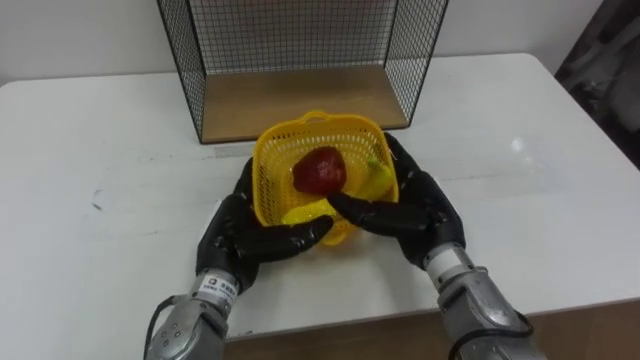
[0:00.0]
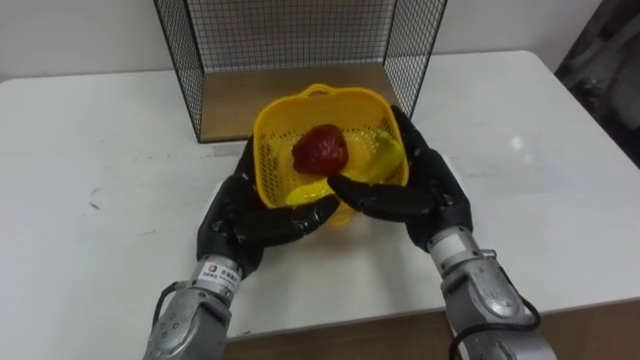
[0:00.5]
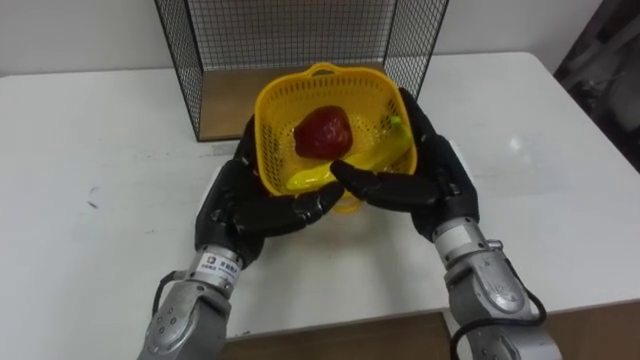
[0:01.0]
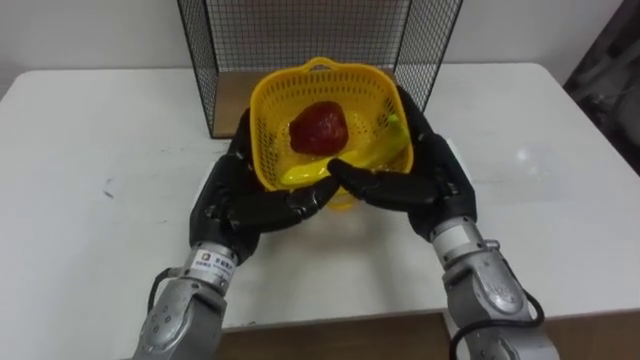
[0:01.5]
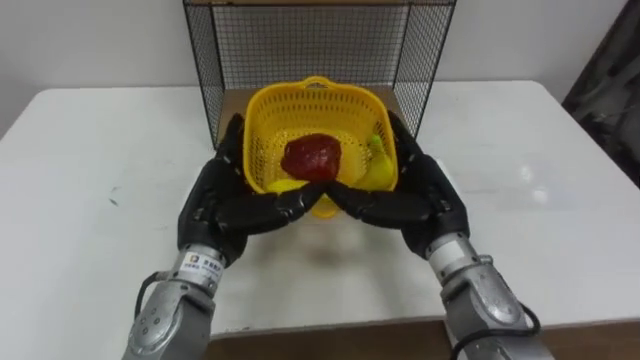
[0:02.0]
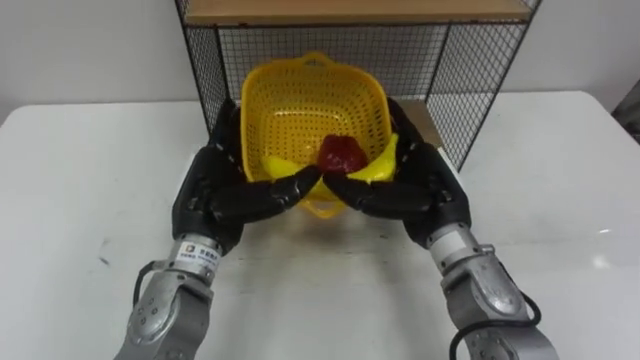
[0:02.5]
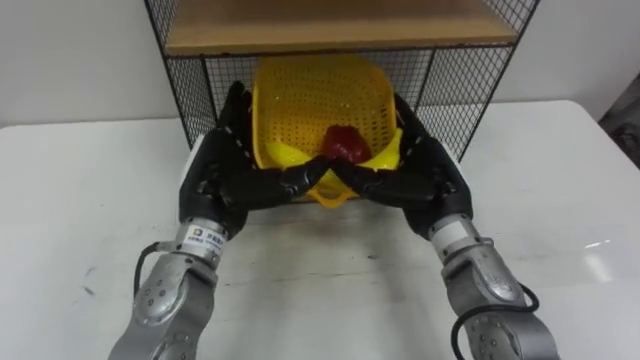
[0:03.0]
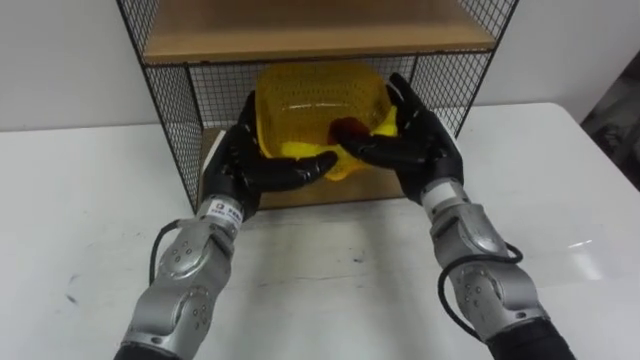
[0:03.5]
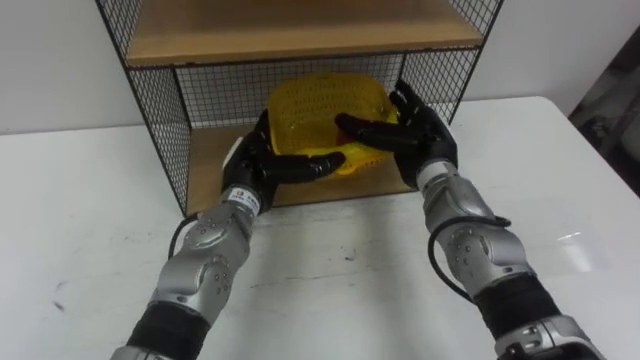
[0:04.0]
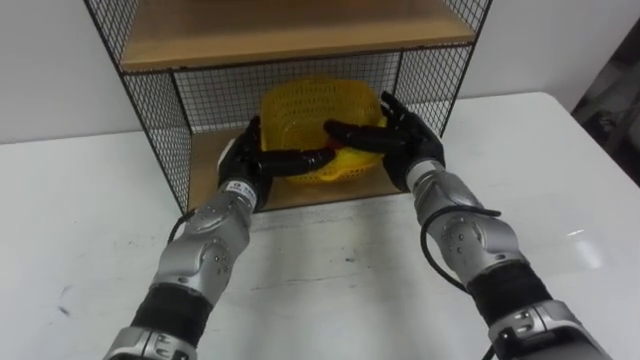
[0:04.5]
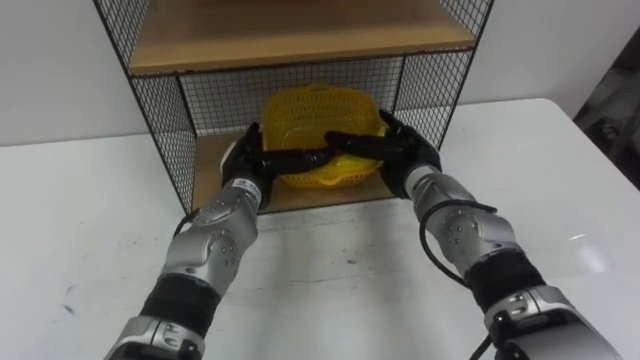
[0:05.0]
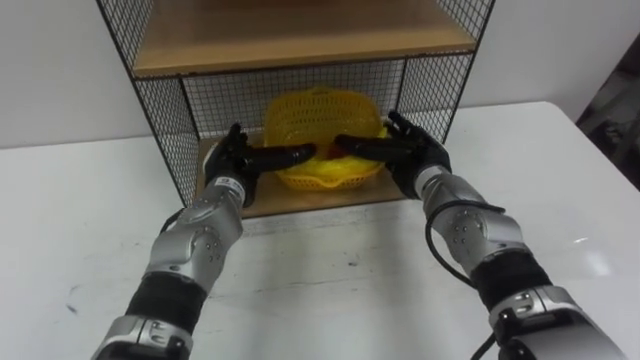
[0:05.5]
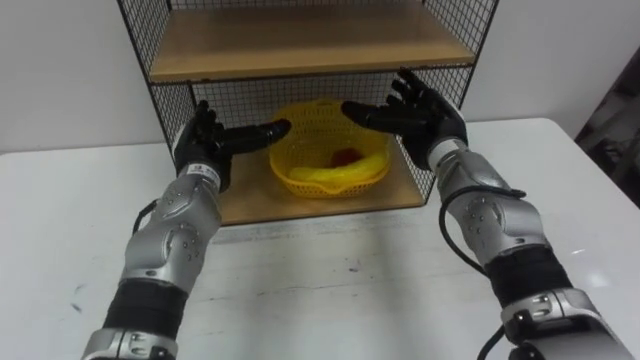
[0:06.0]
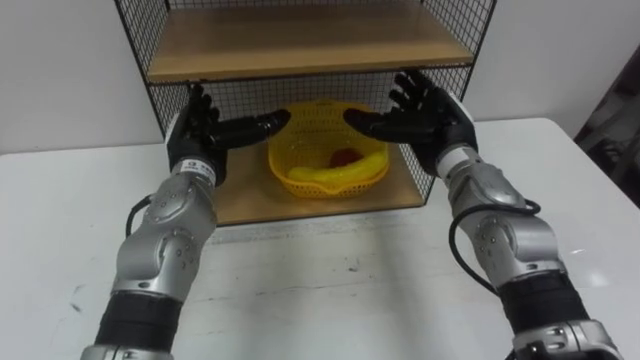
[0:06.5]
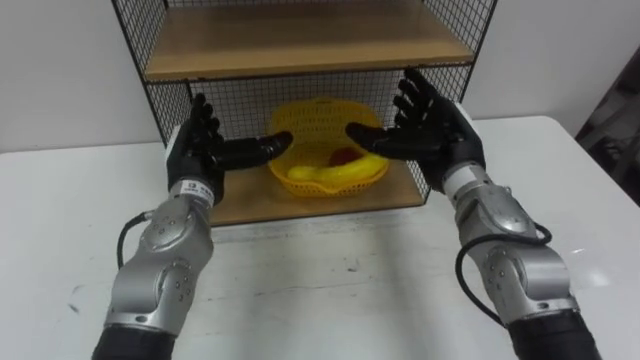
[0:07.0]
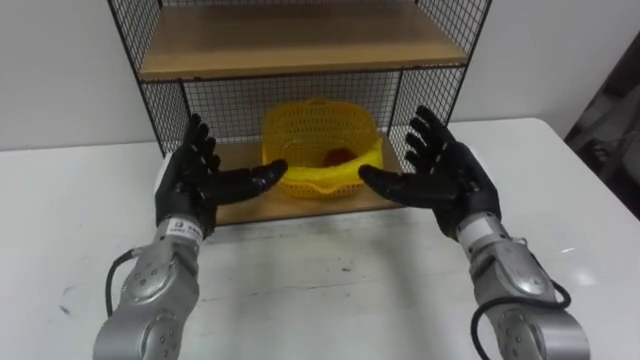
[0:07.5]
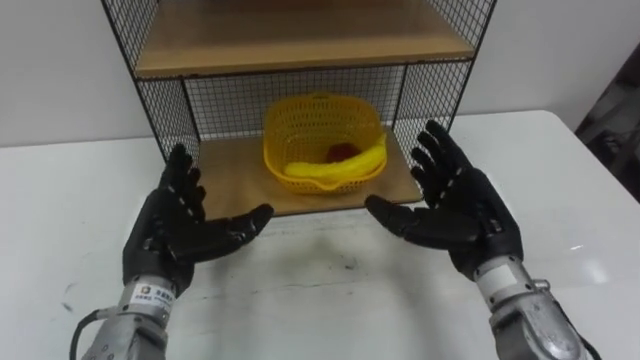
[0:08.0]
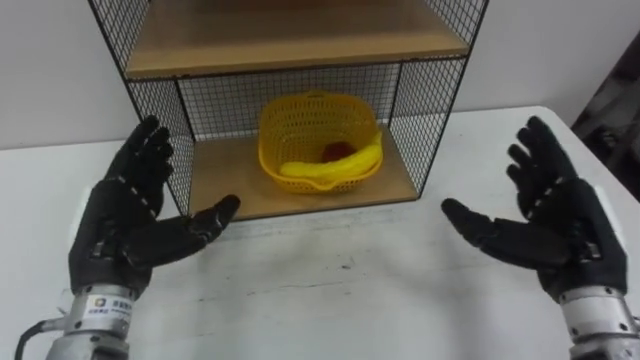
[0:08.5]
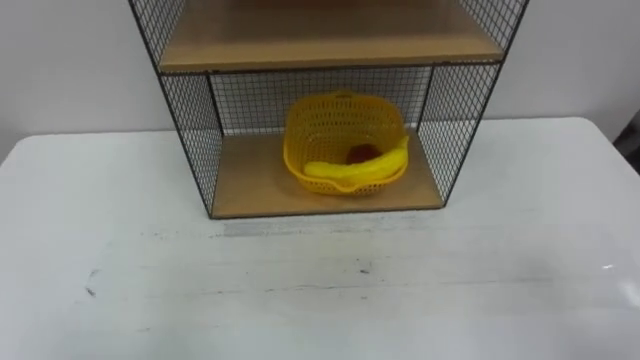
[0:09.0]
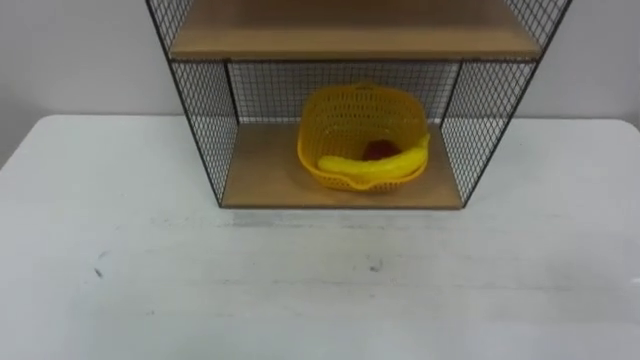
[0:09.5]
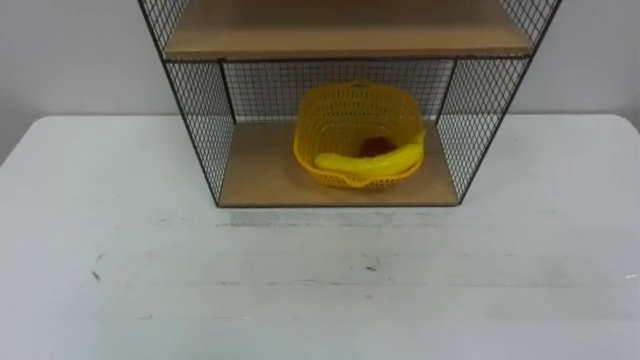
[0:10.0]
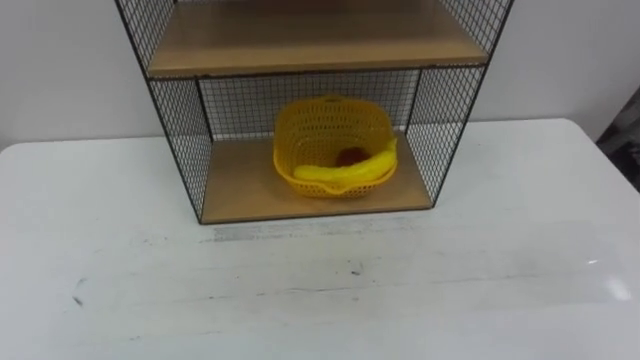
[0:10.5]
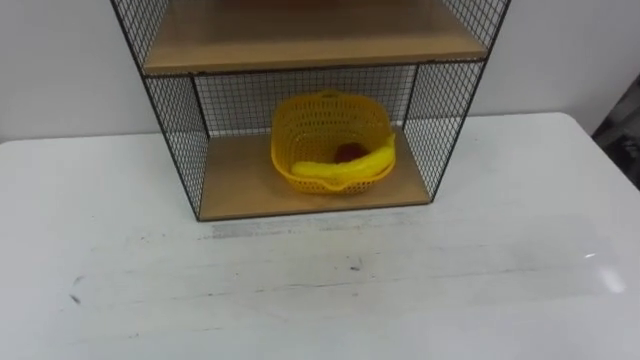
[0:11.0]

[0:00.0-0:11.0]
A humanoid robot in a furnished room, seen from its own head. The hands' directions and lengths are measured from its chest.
Task of the whole recording: Put the fruit on the table into the basket, then place the basket on the shelf.
0:00.0 to 0:02.0: The left hand moves upward, roughly 5 cm.
0:02.0 to 0:03.5: Both hands move forward, roughly 5 cm.
0:03.5 to 0:05.5: The right hand shifts approximately 5 cm downward. The left hand changes place by about 5 cm.
0:05.5 to 0:07.5: The two hands go approximately 5 cm backward.

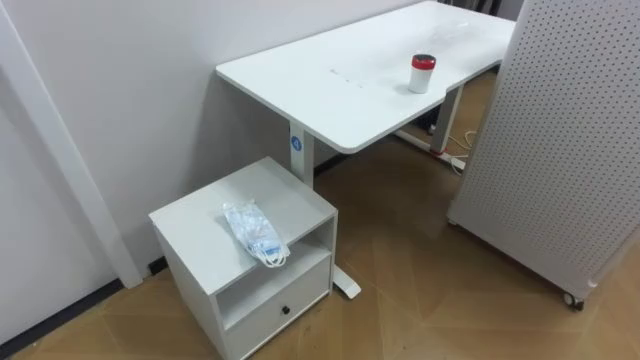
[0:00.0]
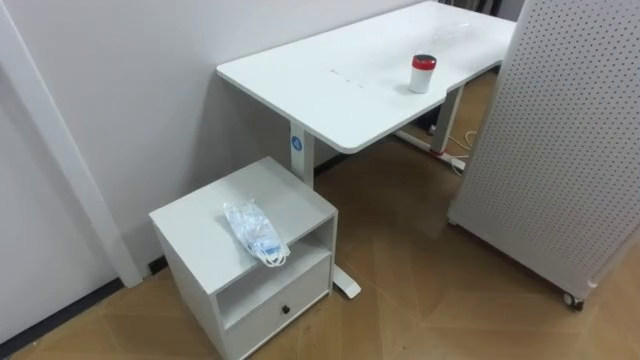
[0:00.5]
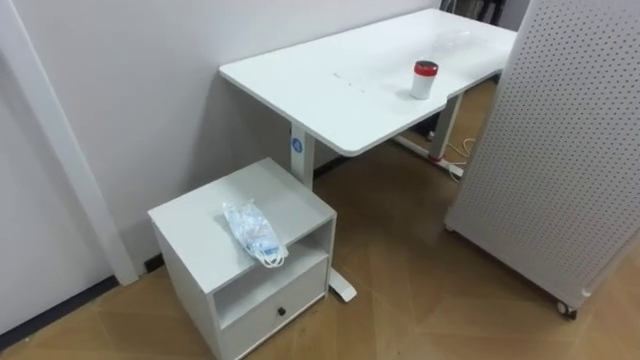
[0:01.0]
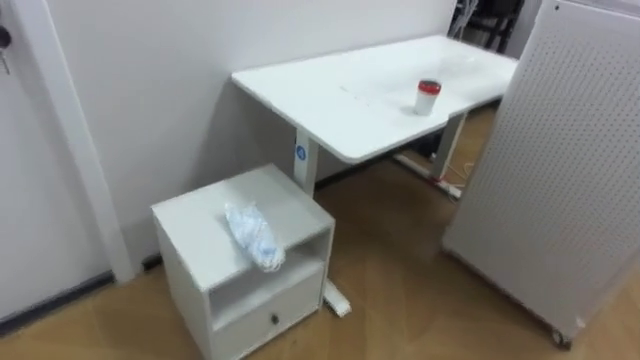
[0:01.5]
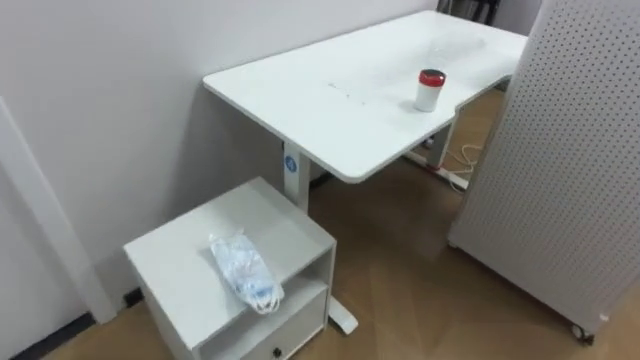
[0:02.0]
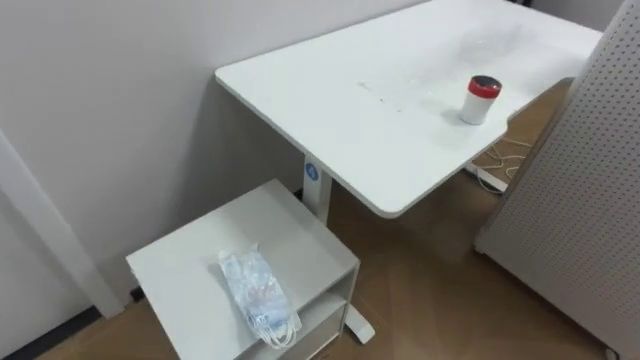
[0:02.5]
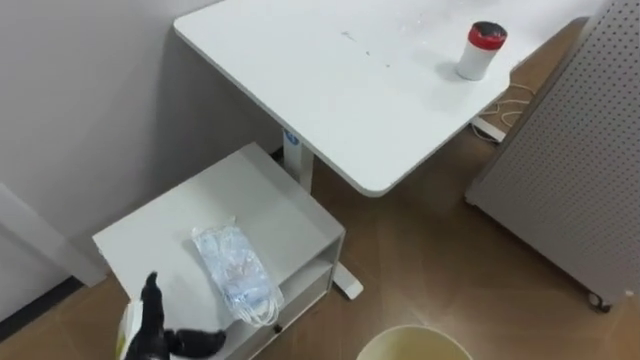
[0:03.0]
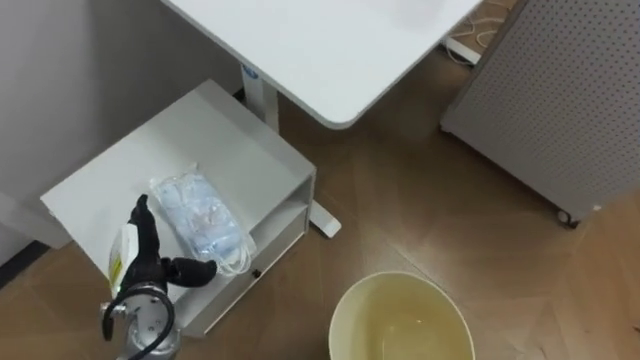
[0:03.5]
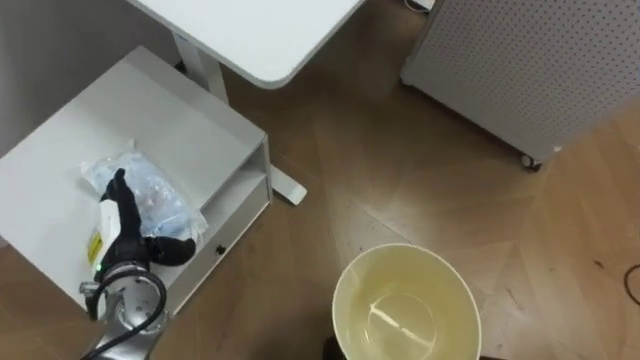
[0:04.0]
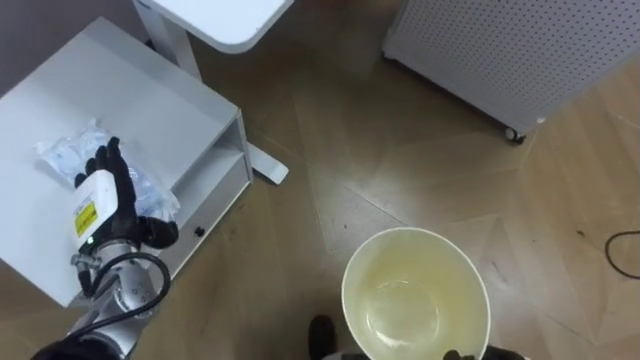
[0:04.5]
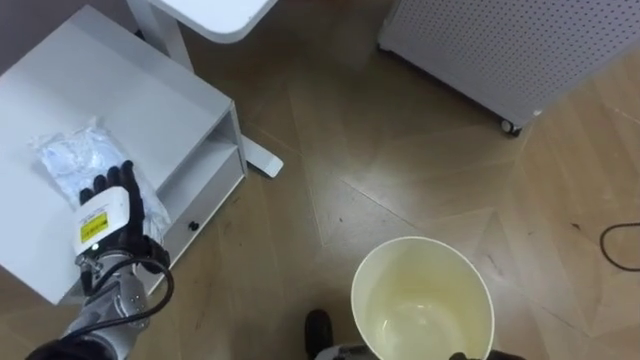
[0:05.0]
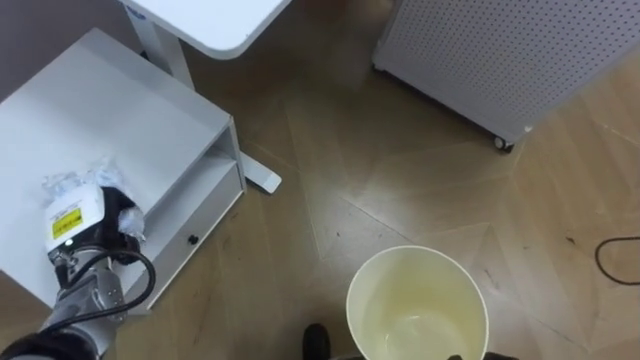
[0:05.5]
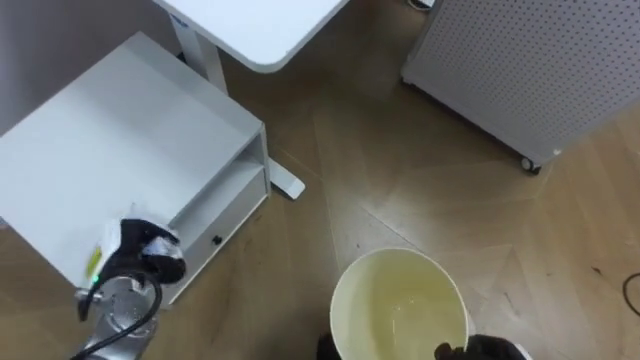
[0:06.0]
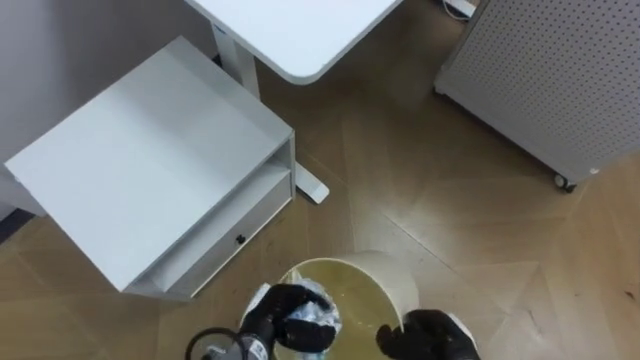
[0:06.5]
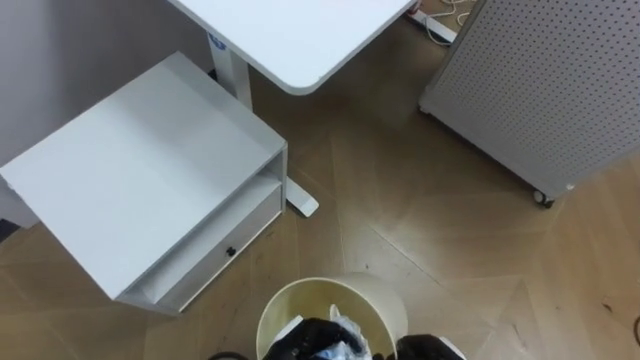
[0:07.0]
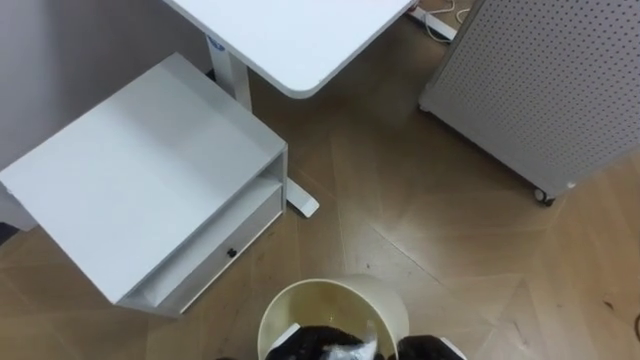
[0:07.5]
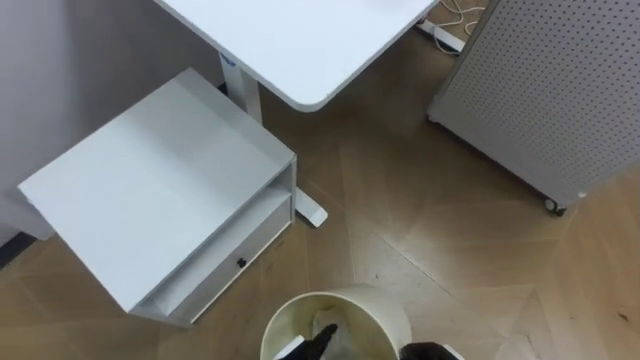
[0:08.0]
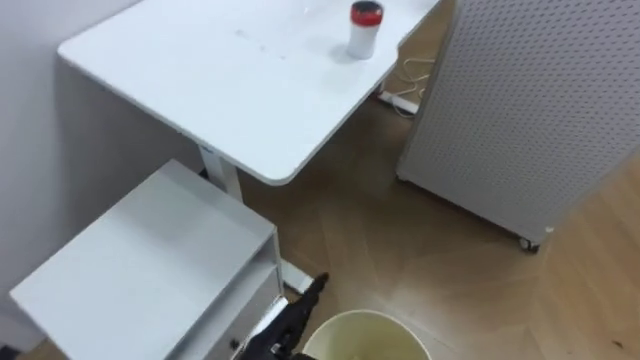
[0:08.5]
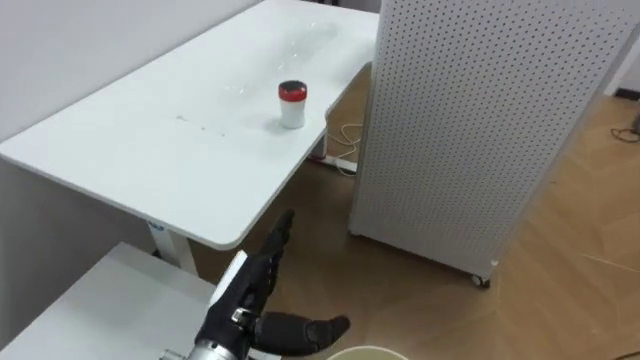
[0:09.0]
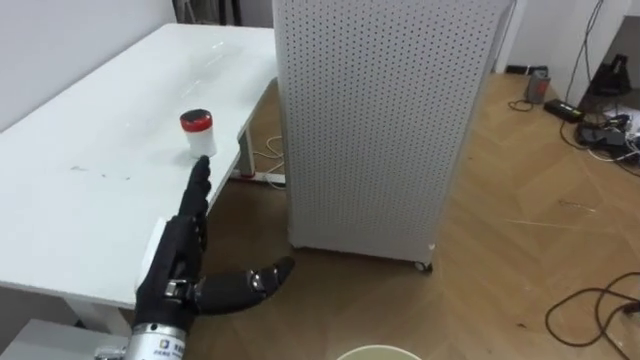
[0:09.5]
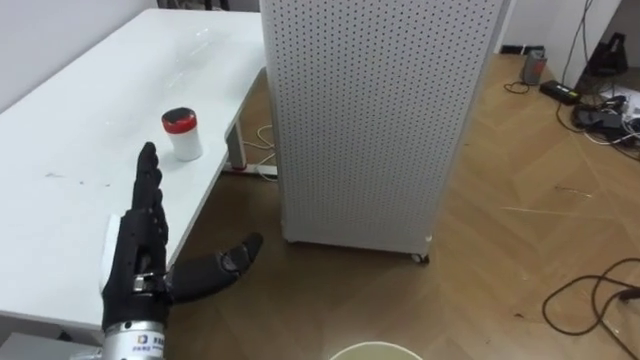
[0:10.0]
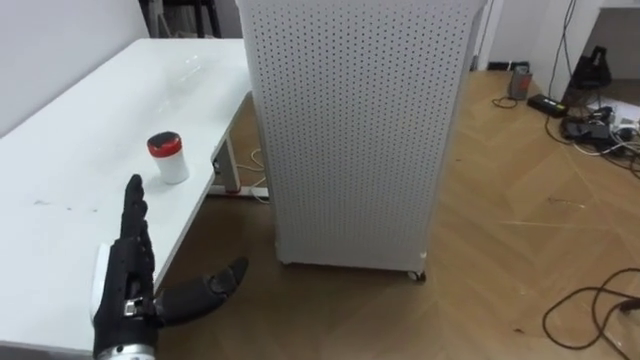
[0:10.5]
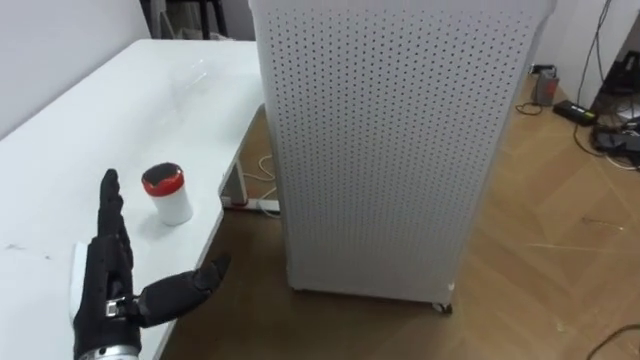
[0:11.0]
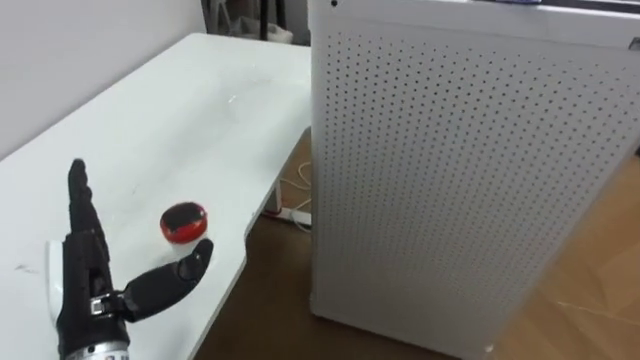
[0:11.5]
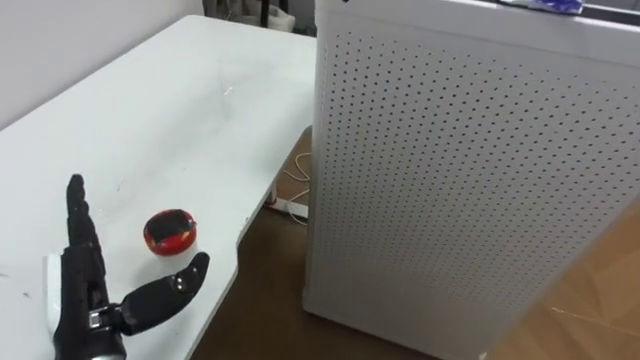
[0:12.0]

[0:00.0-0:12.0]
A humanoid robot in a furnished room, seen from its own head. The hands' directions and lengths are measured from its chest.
Task of the whole recording: Pick up the light blue package, the candy box, and the dark blue package separately, and put them into the trash can held in your right hand.
0:04.0 to 0:06.0: The left hand closes up.
0:08.0 to 0:10.0: The robot rotates about 35 degrees to its right.
0:10.0 to 0:12.0: The left hand moves about 5 cm.
